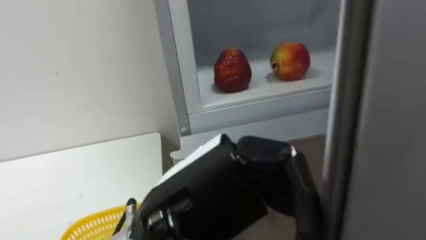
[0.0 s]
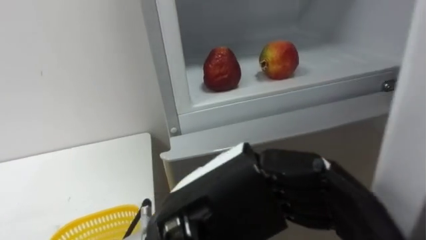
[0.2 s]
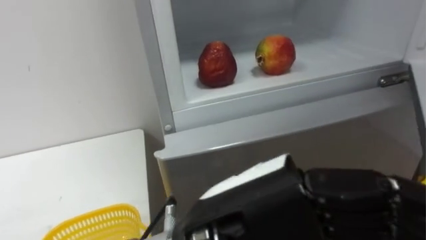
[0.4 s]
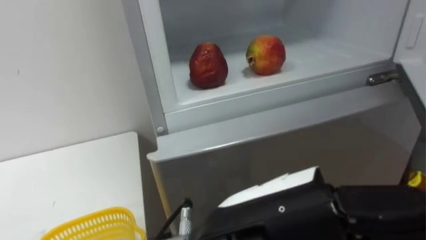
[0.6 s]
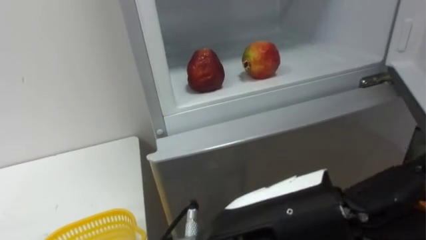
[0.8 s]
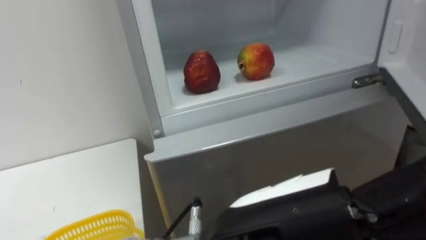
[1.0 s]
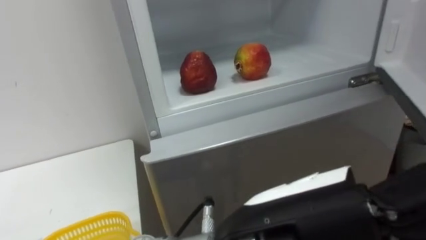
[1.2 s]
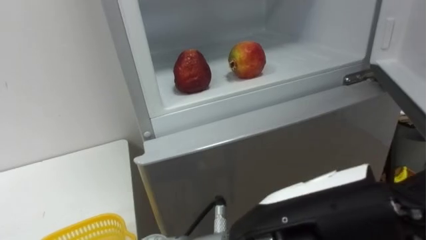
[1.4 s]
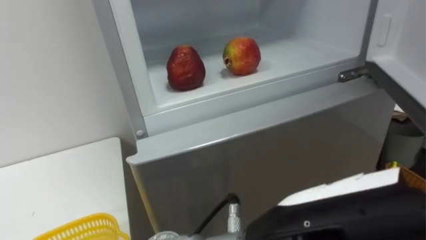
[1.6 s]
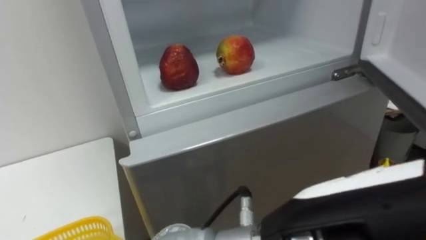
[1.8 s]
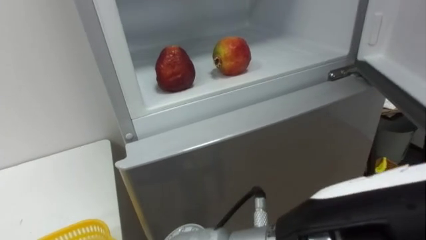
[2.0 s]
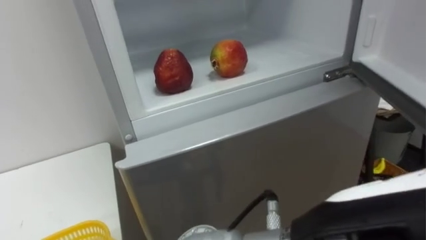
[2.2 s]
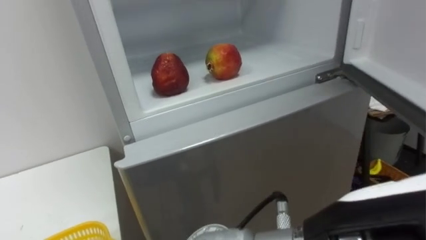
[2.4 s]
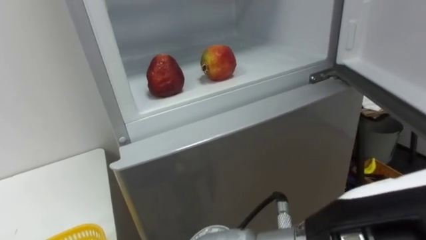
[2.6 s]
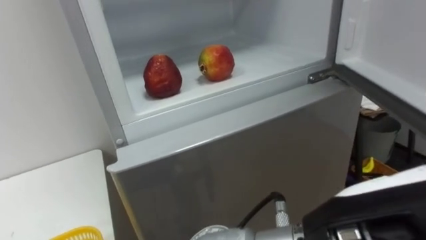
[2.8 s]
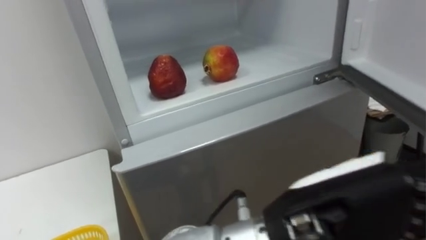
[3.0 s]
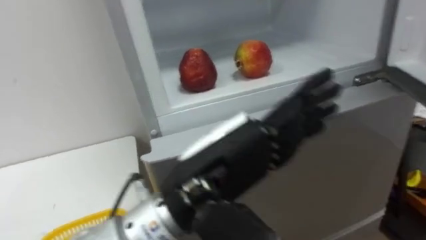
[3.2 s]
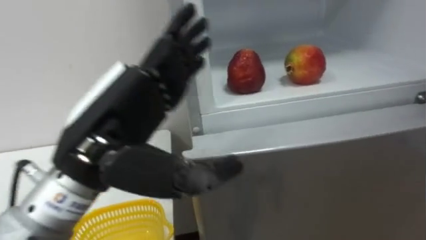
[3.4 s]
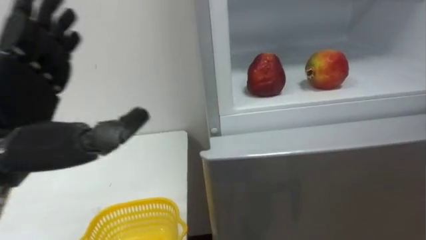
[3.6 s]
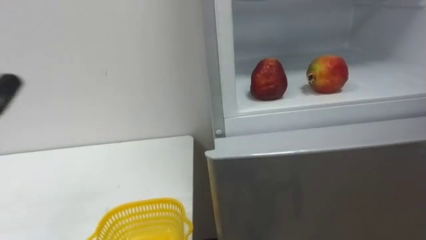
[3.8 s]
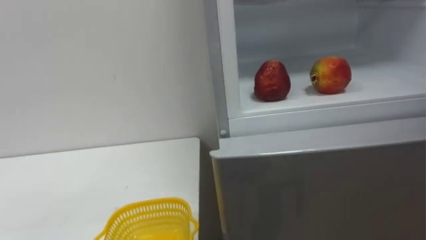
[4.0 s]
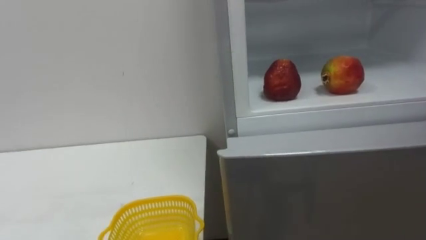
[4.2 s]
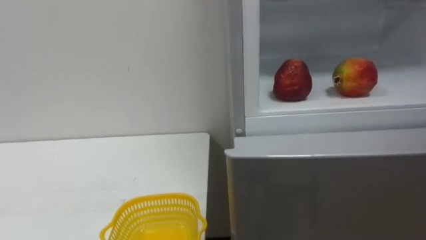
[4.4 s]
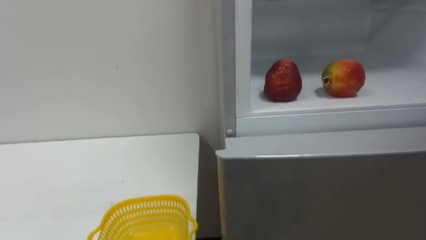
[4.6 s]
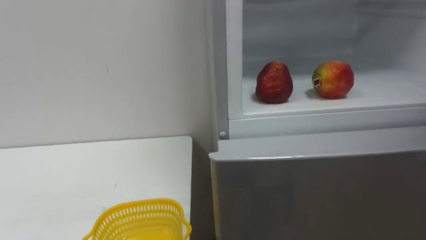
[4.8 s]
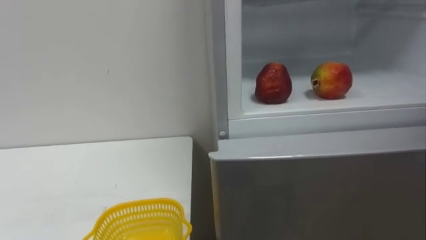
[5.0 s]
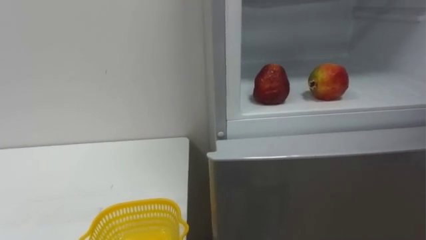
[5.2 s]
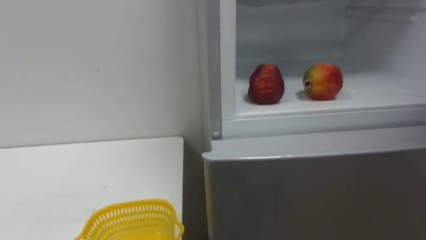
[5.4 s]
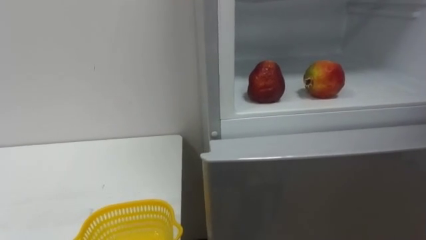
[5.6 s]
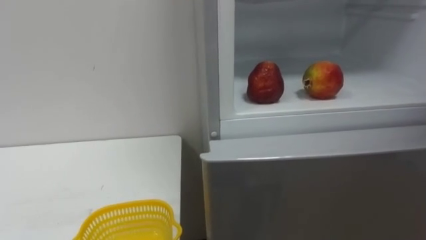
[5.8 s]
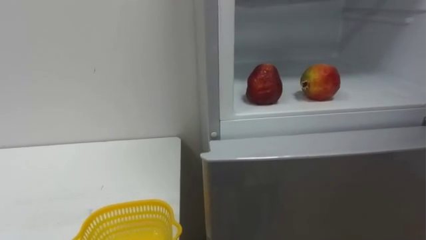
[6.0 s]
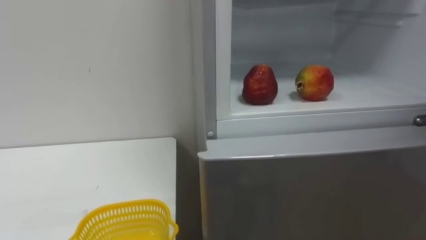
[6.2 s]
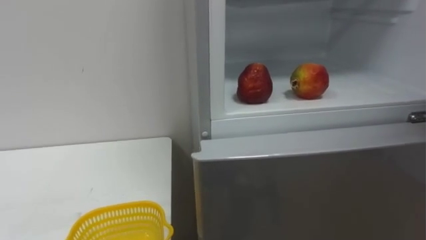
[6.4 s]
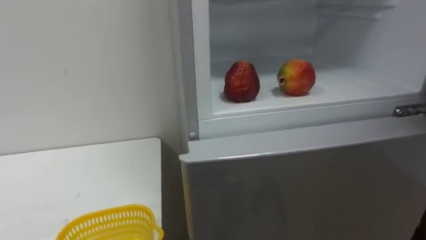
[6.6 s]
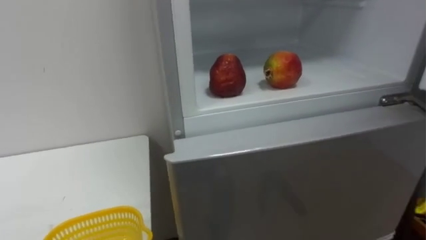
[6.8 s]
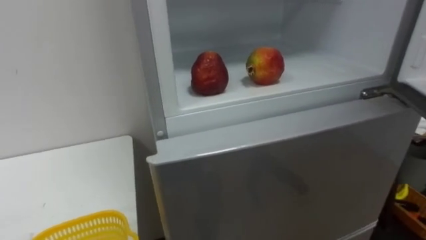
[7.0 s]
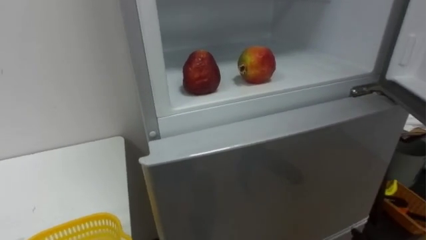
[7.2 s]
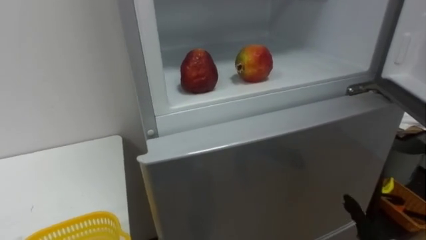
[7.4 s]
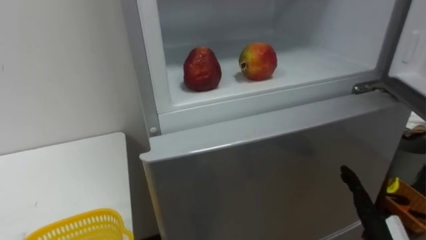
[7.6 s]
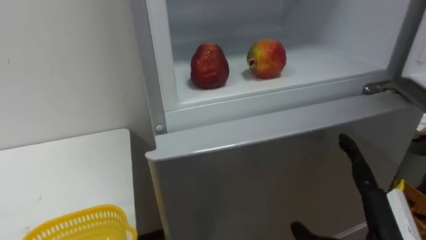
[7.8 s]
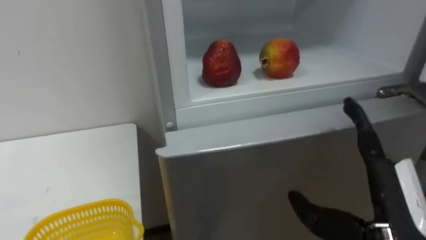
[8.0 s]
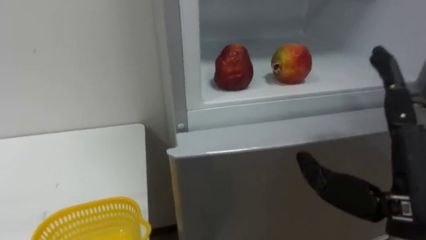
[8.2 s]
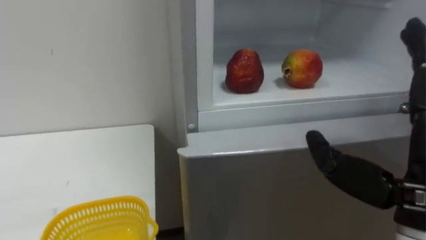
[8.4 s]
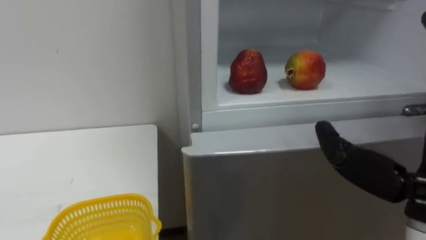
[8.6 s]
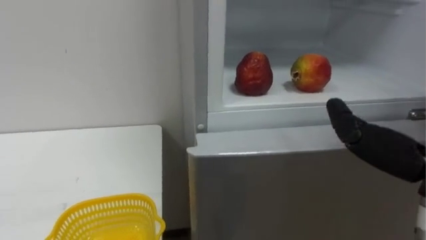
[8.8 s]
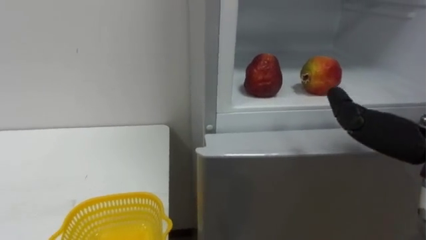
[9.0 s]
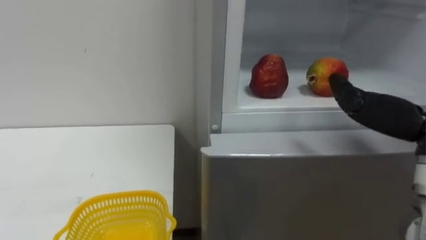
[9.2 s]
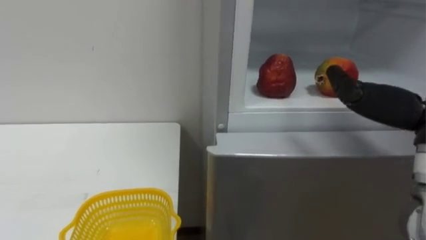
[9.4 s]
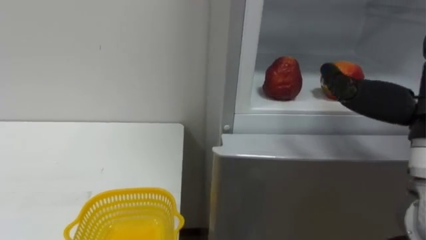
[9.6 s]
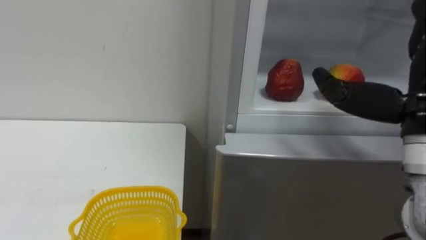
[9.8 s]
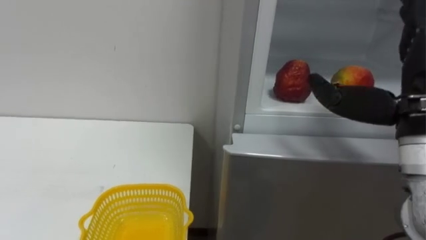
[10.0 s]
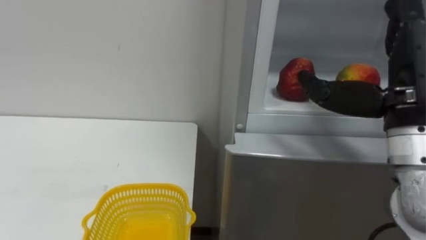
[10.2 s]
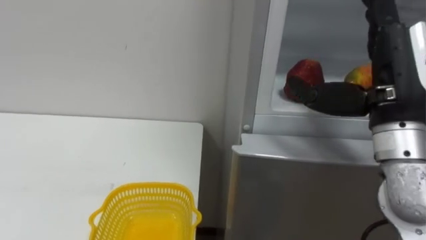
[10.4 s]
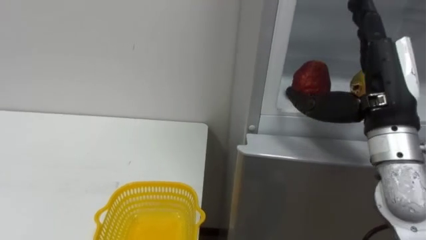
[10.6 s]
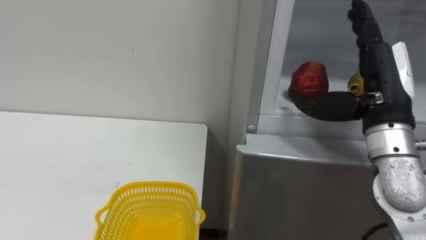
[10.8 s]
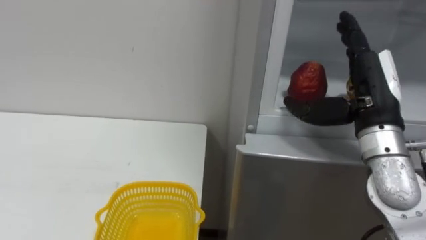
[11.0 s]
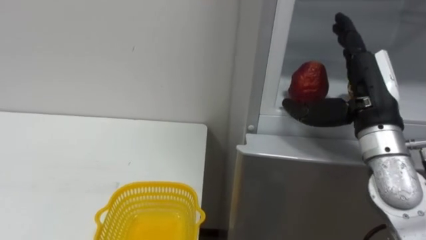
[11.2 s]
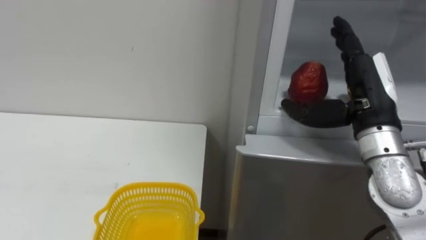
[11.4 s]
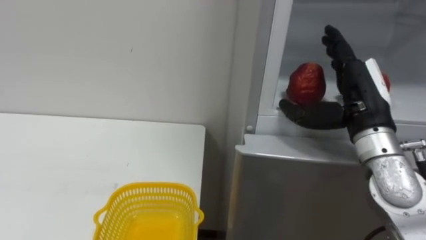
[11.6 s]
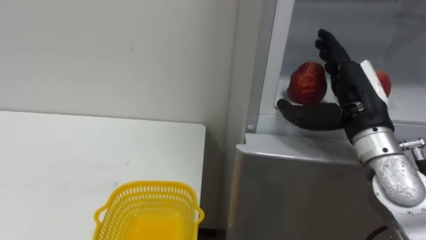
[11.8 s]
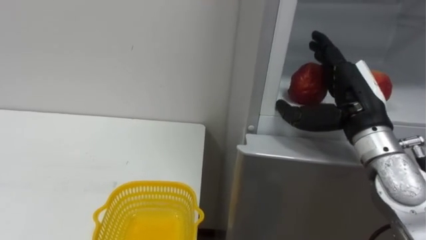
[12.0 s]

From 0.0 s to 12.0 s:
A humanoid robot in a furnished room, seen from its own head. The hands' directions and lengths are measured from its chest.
Task of the whole recording: Open the refrigerator door, take out the apple and the pomegranate, place them in the fruit basket on the left, and close the refrigerator door.
From 0.0 s to 1.6 s: The left hand is displaced to the right and backward by roughly 10 cm, and opens its fingers.
From 10.4 s to 12.0 s: The right hand travels downward and forward by about 10 cm.

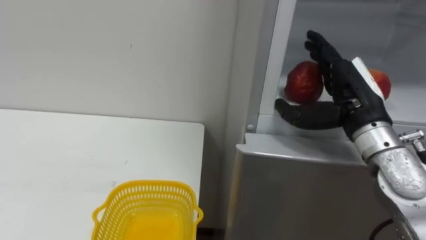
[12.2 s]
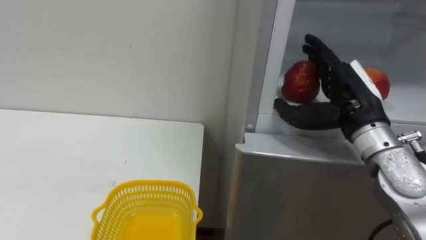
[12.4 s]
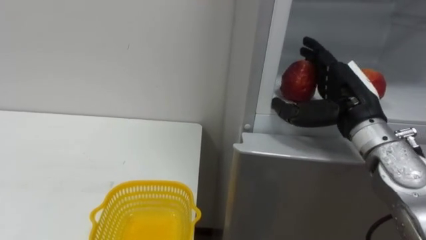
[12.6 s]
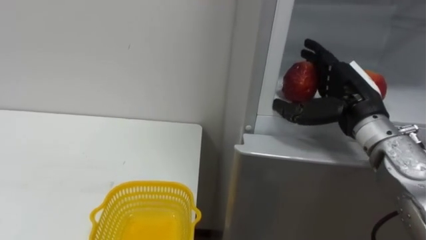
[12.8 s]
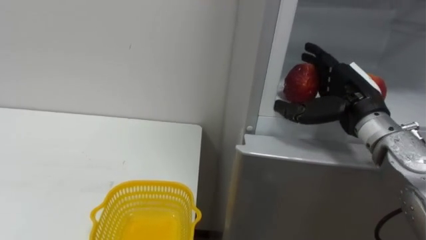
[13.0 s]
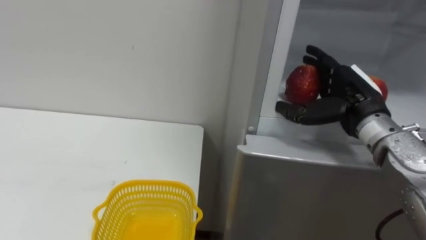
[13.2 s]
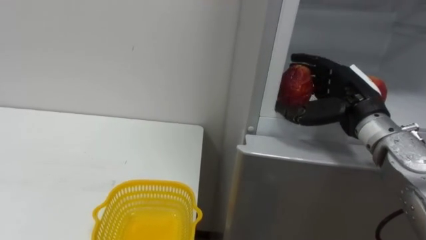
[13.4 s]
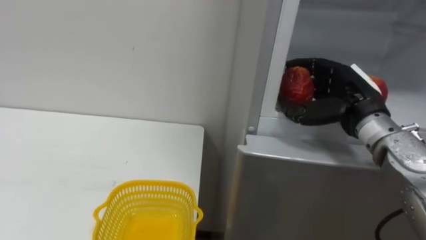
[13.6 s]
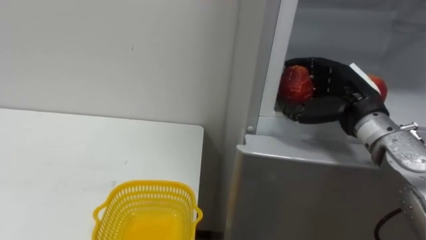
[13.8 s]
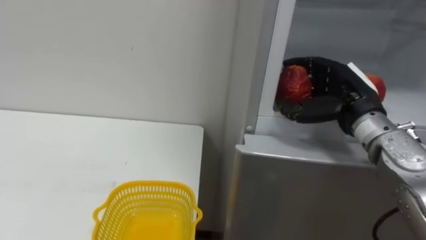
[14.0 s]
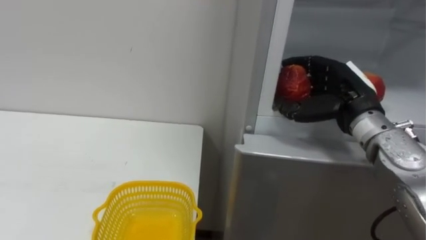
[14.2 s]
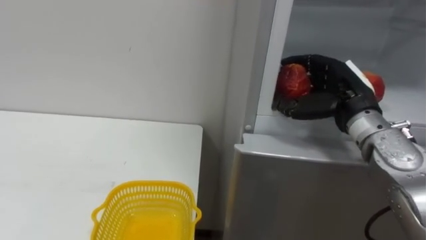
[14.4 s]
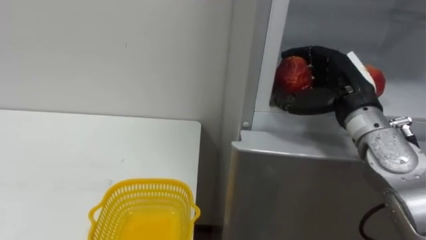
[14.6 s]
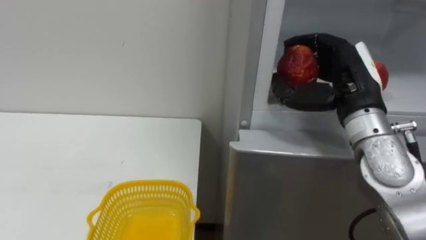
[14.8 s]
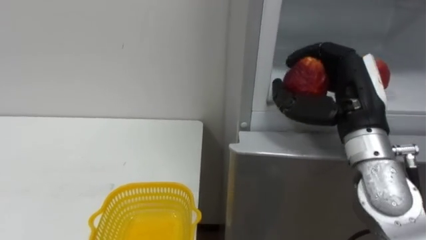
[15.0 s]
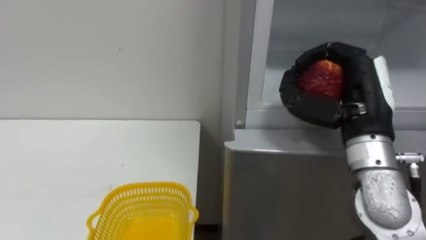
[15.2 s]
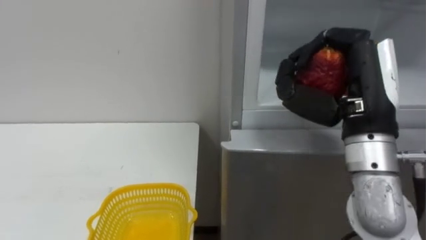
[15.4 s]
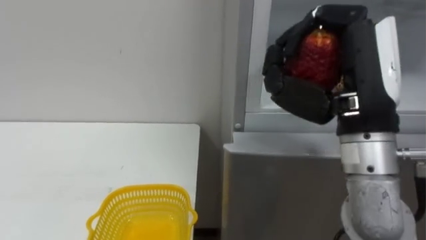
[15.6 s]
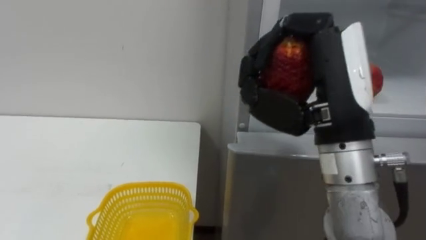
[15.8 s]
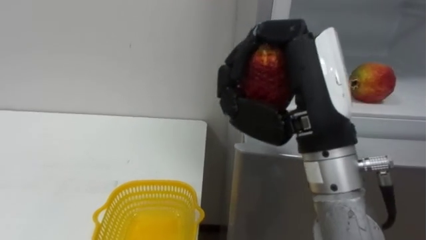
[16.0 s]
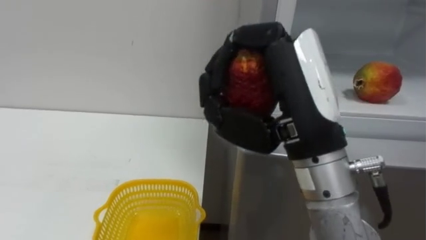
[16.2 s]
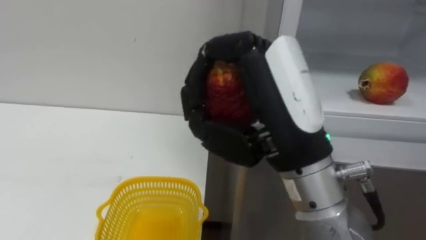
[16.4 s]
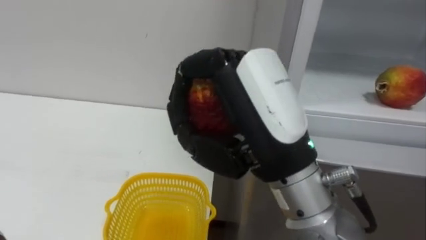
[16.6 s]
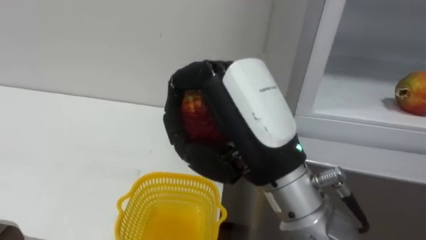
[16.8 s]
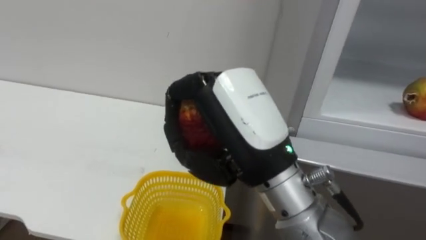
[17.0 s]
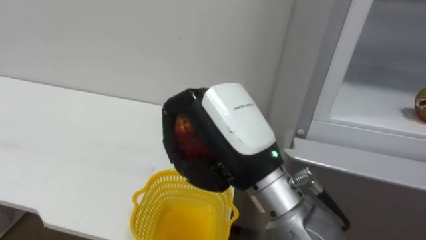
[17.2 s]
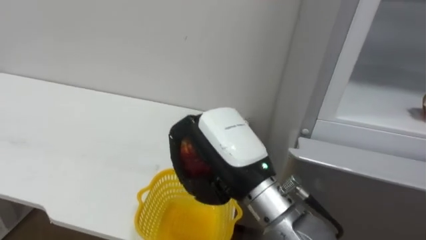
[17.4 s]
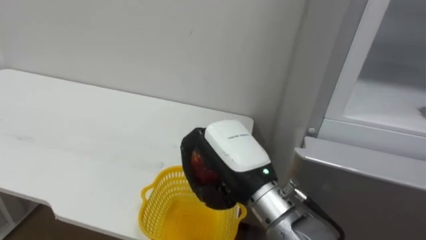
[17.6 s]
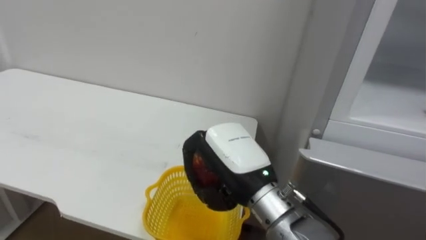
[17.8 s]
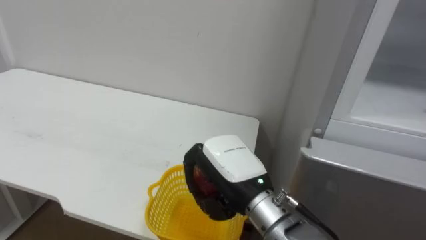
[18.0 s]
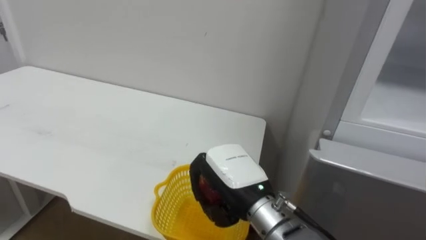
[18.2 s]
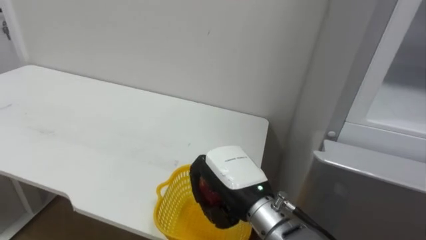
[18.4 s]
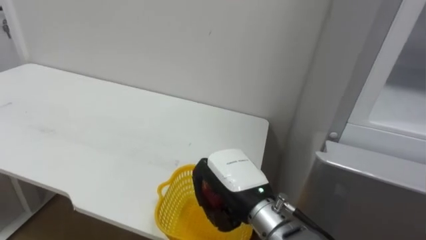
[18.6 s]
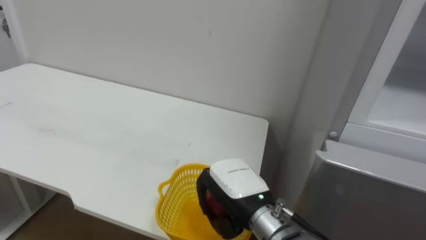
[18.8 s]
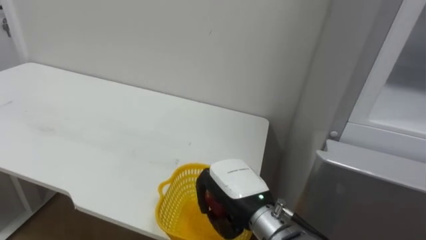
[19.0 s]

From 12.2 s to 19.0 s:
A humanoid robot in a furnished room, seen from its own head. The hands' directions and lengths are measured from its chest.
Task of the whole recording: Open the refrigerator door, take out the apple and the pomegranate, place them in the fruit basket on the left, and close the refrigerator door.
From 12.2 s to 13.6 s: The right hand closes up.
From 13.6 s to 15.0 s: The right hand shifts some 5 cm backward.
From 15.0 s to 16.2 s: The right hand travels to the left and backward by roughly 15 cm.
From 16.2 s to 17.6 s: The right hand travels downward, to the left and forward by roughly 15 cm.
From 17.6 s to 19.0 s: The right hand goes some 10 cm downward.
